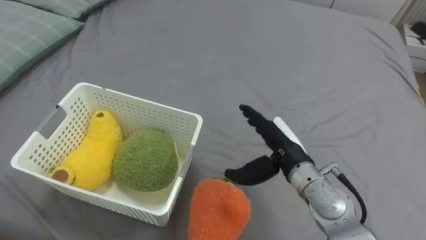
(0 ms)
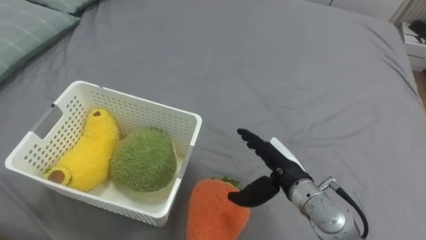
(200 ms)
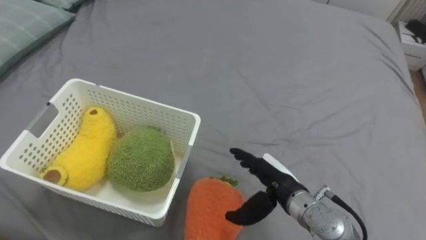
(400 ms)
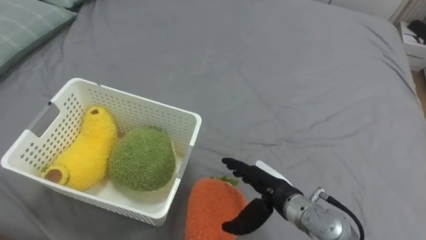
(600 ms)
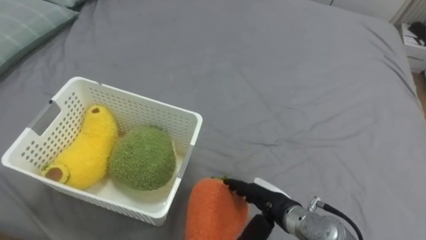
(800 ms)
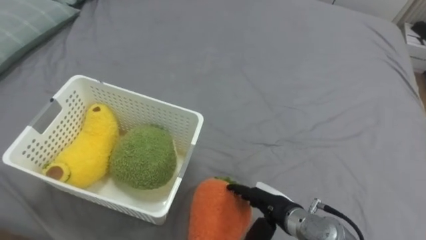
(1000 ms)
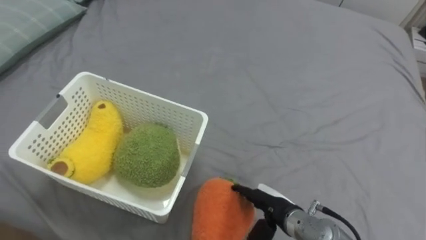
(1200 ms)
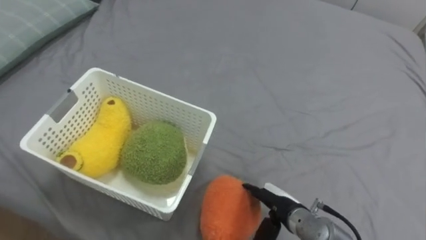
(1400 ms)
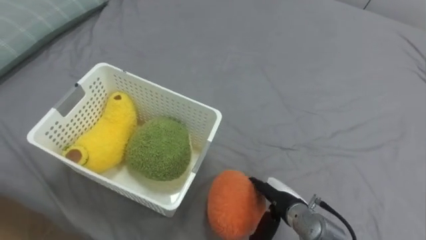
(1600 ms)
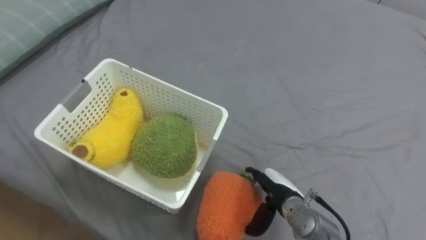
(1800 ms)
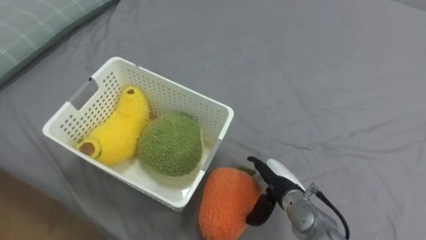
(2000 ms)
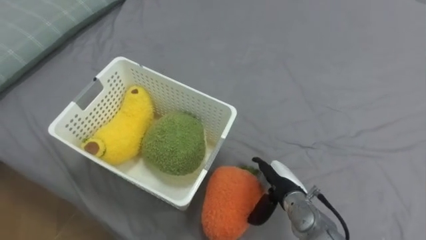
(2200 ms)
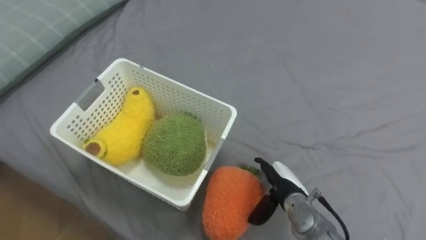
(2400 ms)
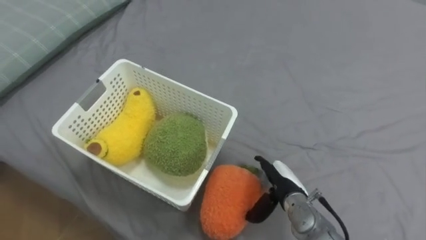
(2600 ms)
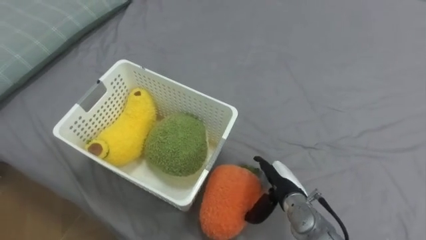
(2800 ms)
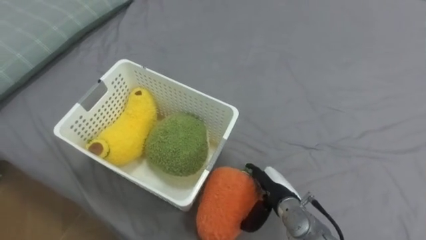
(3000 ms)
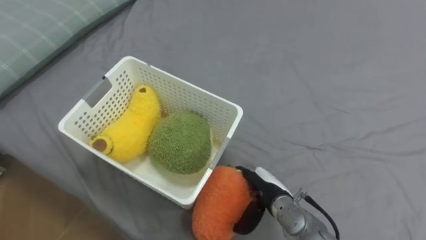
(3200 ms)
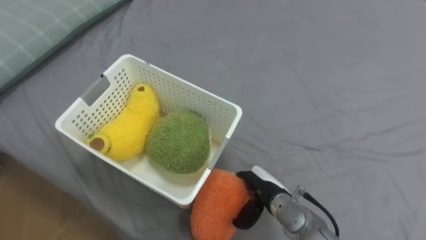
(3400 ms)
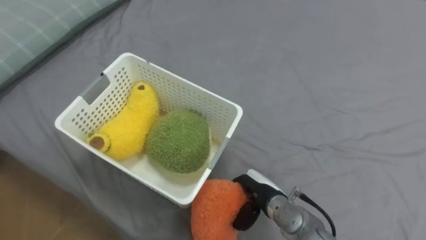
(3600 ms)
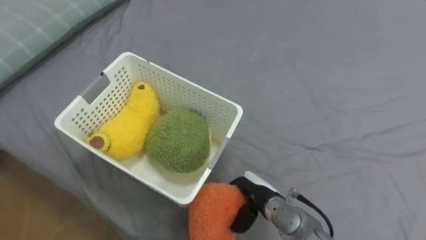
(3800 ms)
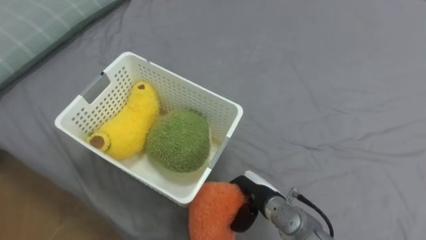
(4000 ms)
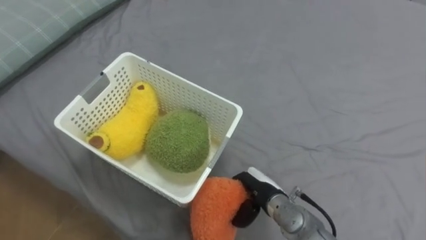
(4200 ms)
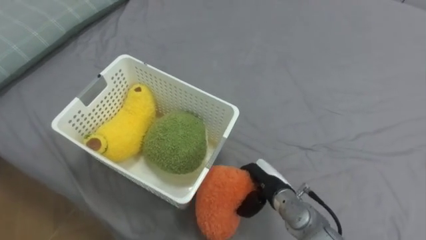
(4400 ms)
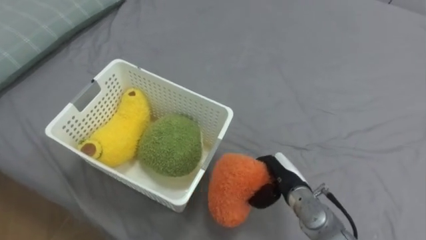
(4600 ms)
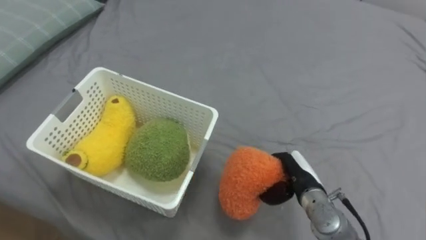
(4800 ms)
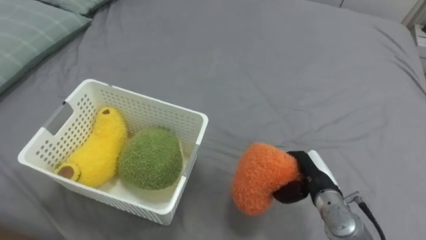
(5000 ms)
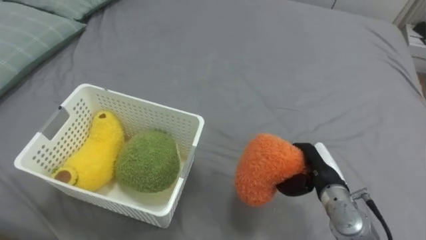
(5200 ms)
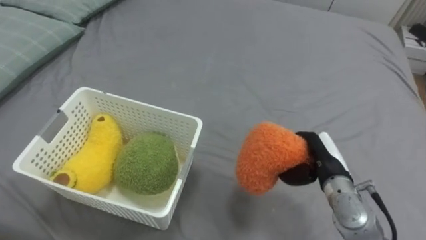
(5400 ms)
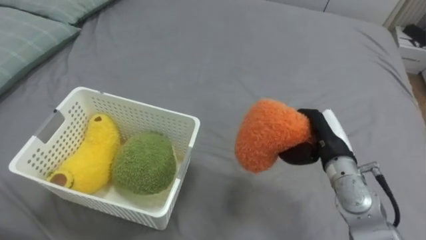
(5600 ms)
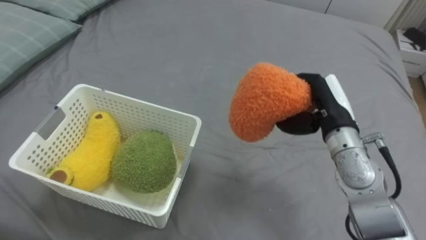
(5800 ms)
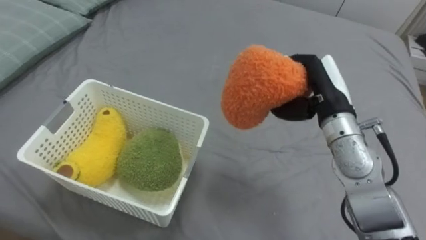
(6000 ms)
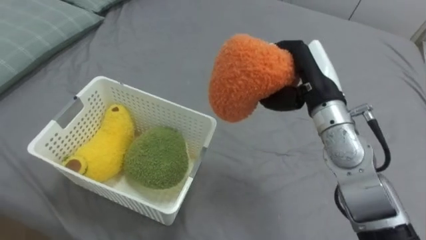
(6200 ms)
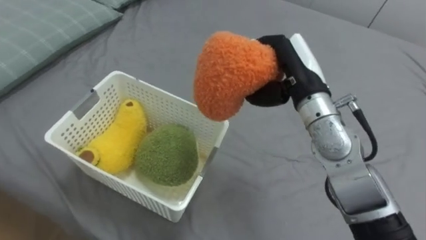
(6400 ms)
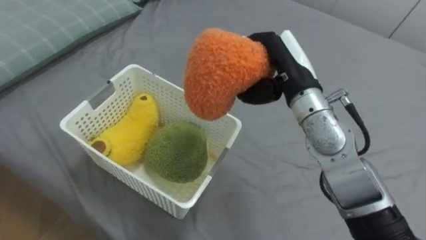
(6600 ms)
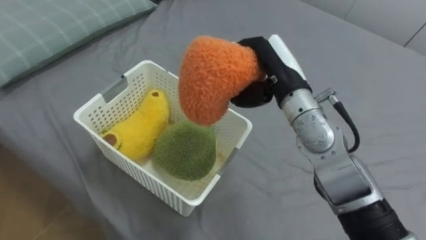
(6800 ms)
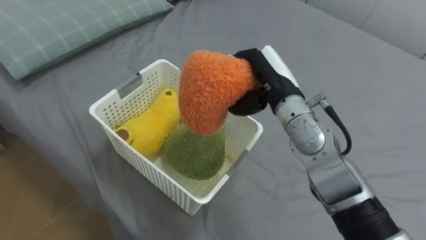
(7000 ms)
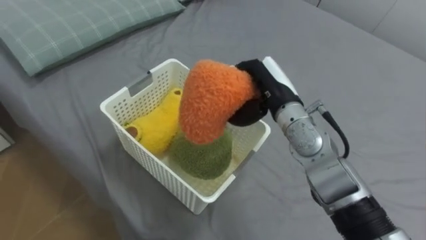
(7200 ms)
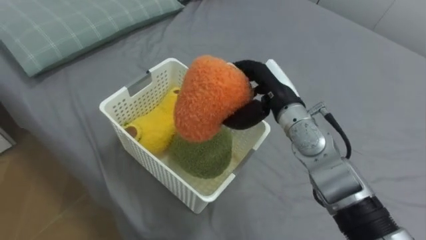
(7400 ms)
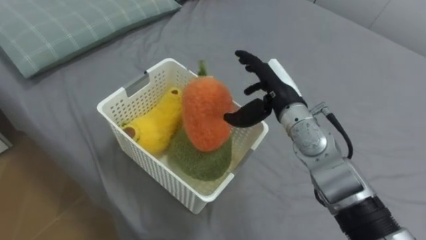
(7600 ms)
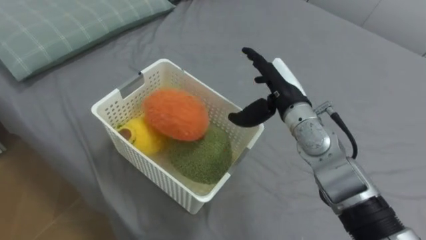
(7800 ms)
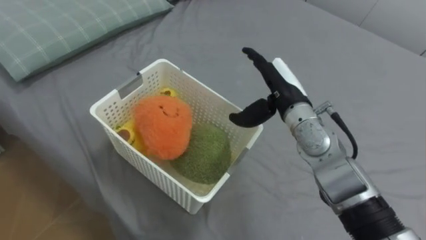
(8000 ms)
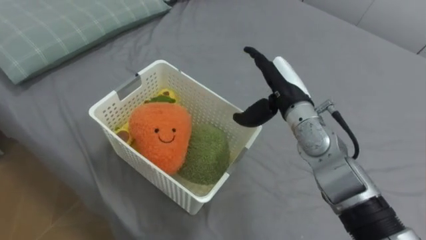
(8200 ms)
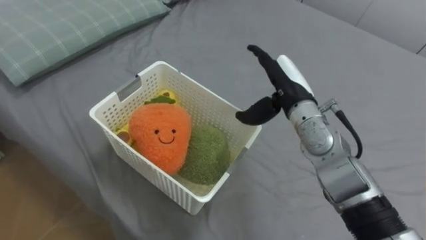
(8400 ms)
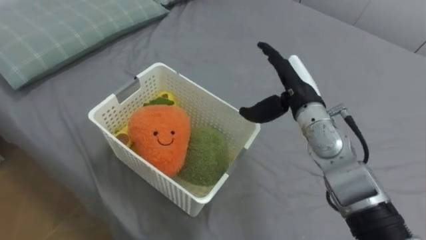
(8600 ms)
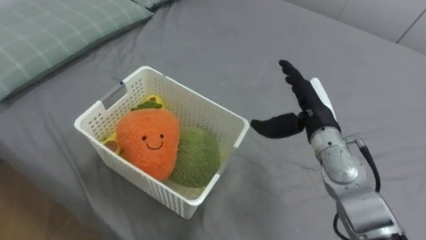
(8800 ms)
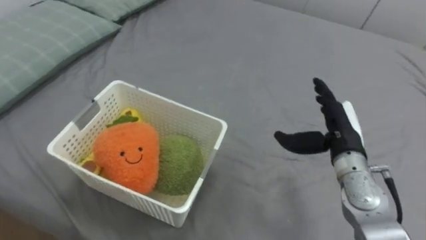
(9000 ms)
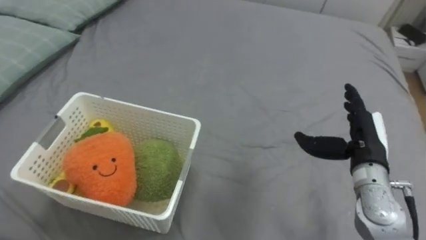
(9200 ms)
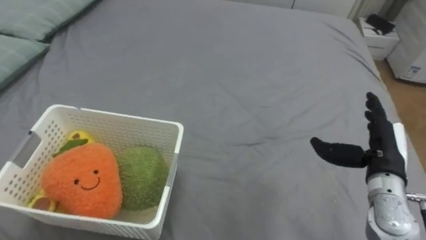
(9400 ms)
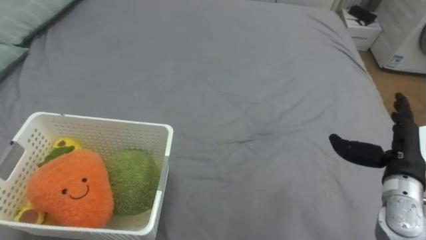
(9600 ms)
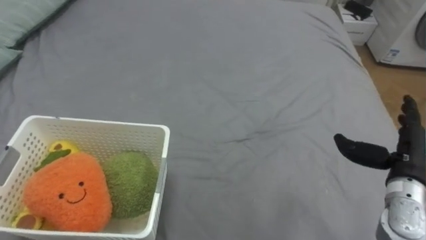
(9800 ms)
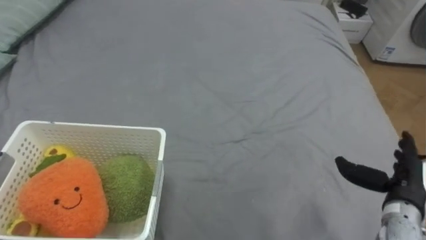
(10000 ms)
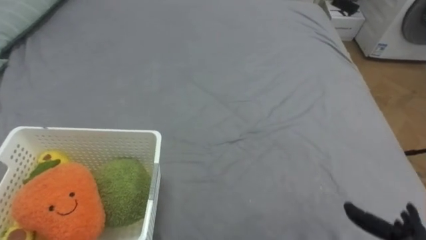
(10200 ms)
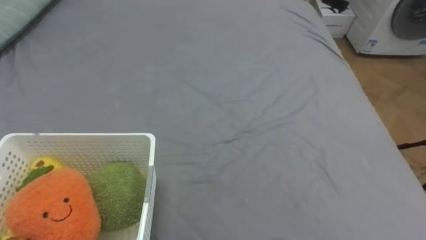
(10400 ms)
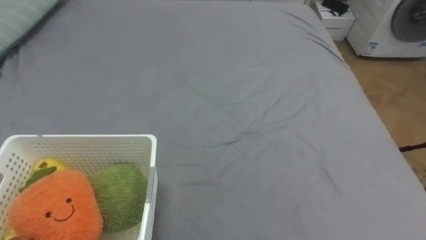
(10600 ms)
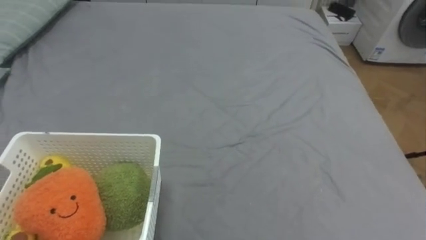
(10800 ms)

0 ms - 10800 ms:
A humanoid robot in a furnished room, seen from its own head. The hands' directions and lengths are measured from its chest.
Task of the whole recording: Put the toys on the bed into the basket on the left.
0 ms - 1600 ms: The right hand moves downward and backward, about 15 cm.
3000 ms - 4600 ms: The right hand closes up.
4600 ms - 6200 ms: The right hand is displaced upward by approximately 20 cm.
6200 ms - 7800 ms: The right hand changes place by approximately 5 cm, and opens its fingers.
7800 ms - 9200 ms: The right hand travels to the right and backward by approximately 15 cm.

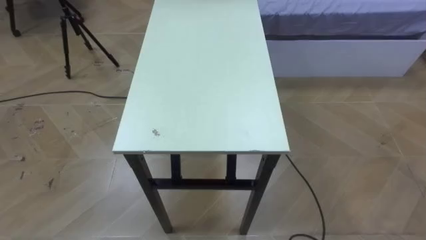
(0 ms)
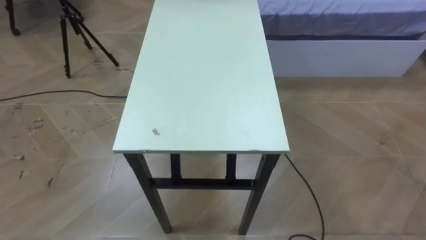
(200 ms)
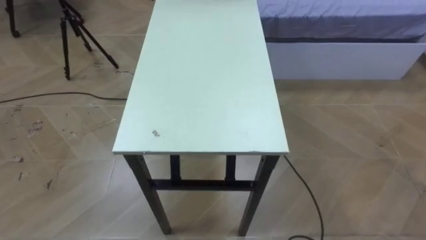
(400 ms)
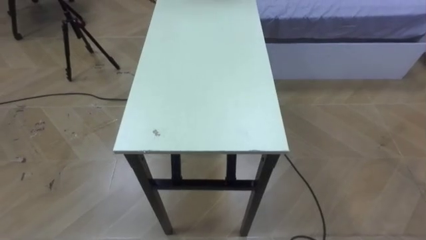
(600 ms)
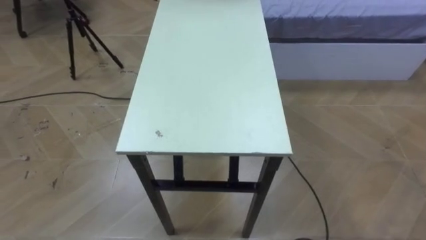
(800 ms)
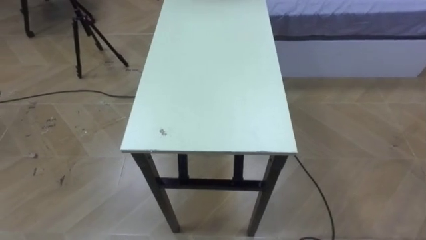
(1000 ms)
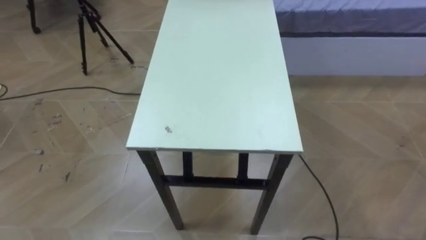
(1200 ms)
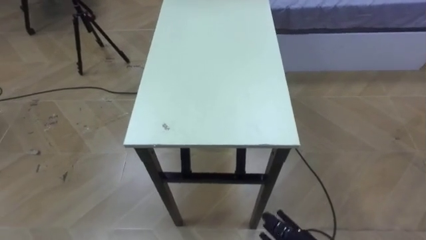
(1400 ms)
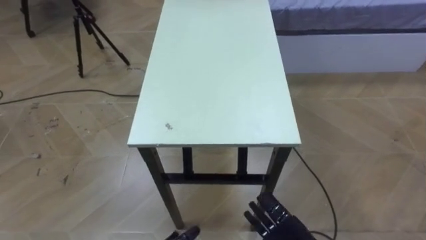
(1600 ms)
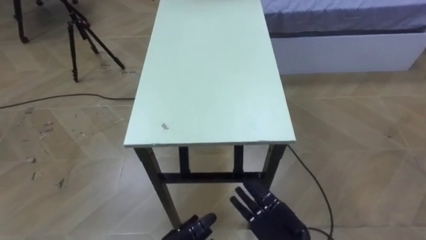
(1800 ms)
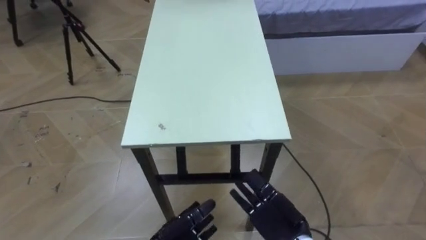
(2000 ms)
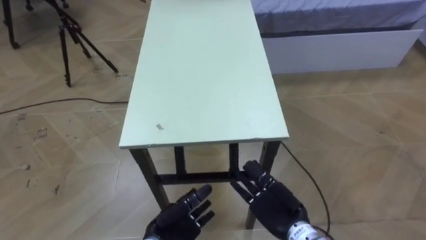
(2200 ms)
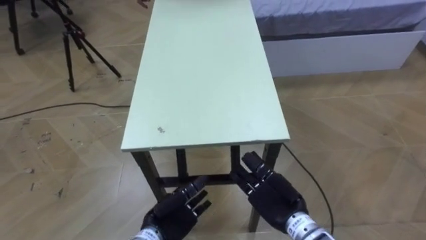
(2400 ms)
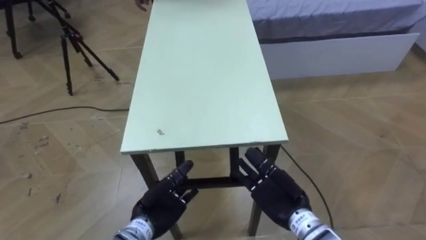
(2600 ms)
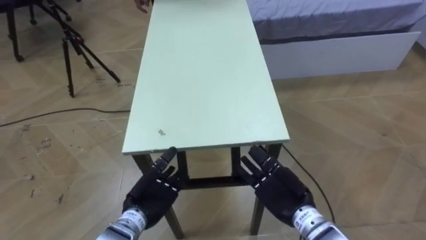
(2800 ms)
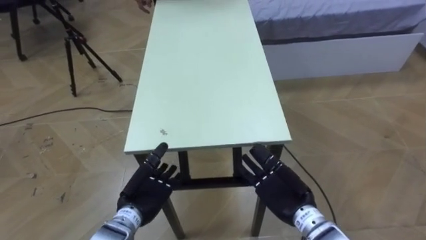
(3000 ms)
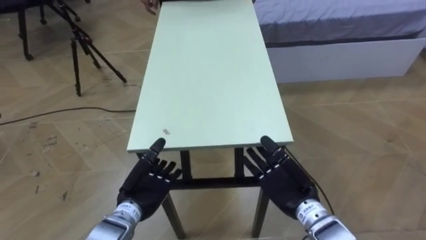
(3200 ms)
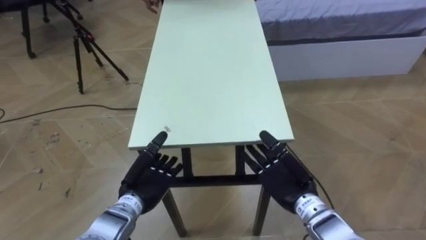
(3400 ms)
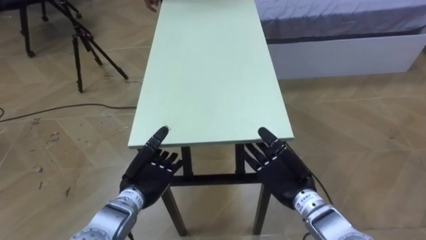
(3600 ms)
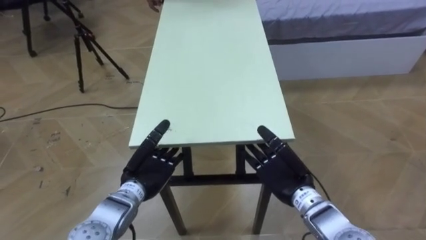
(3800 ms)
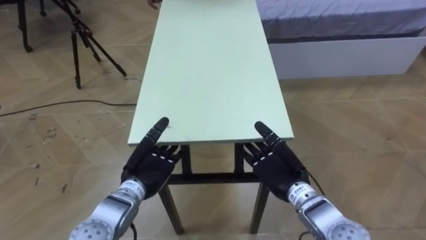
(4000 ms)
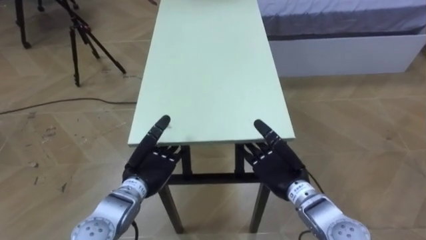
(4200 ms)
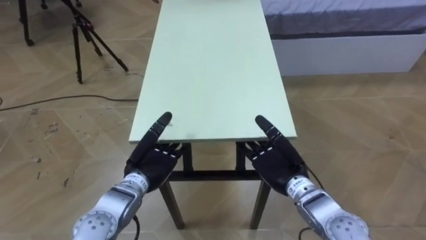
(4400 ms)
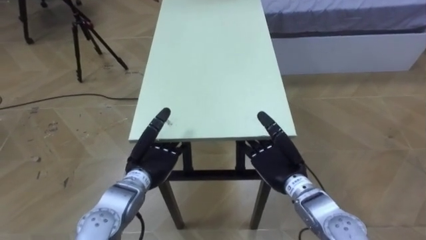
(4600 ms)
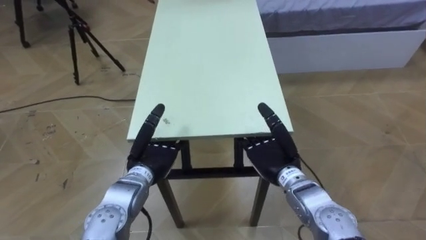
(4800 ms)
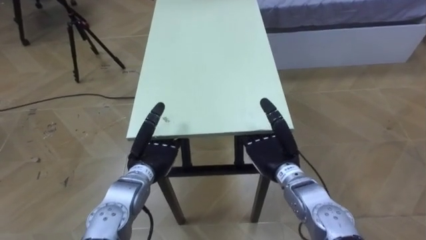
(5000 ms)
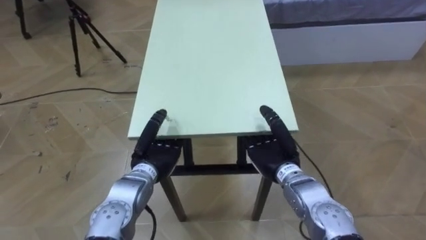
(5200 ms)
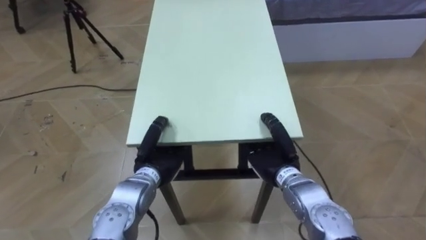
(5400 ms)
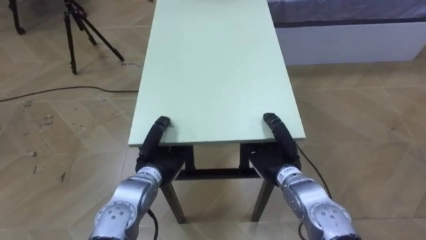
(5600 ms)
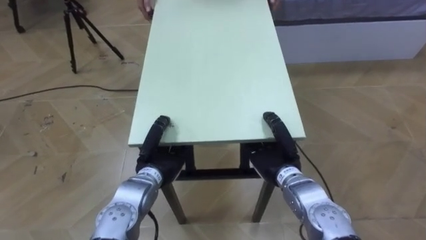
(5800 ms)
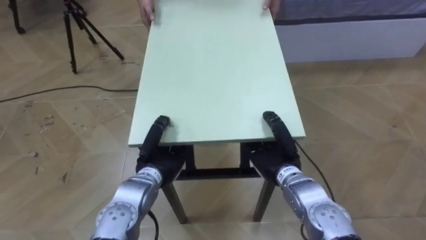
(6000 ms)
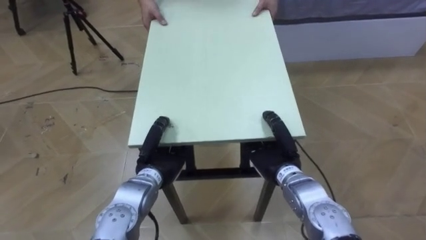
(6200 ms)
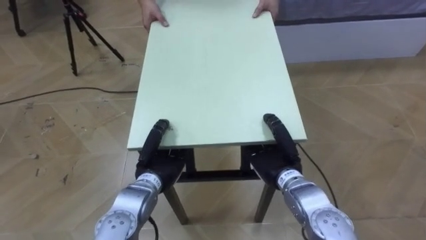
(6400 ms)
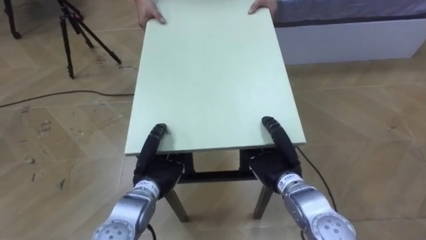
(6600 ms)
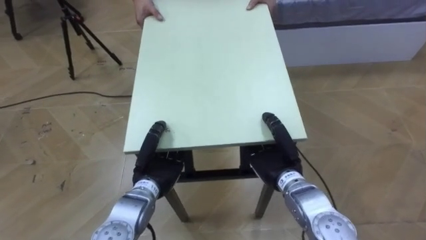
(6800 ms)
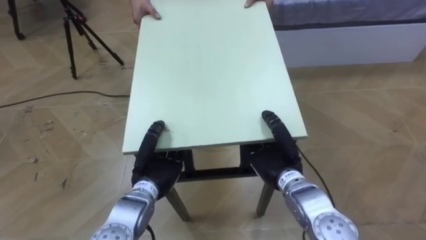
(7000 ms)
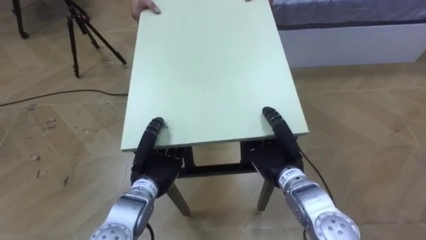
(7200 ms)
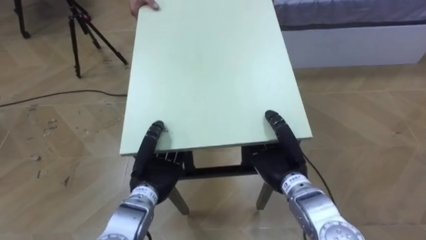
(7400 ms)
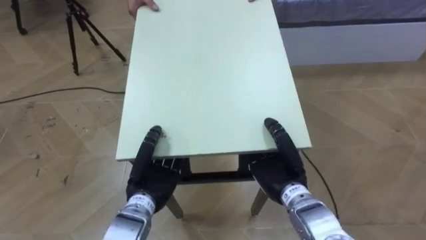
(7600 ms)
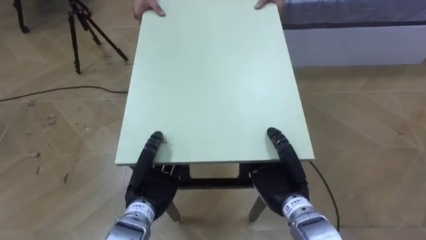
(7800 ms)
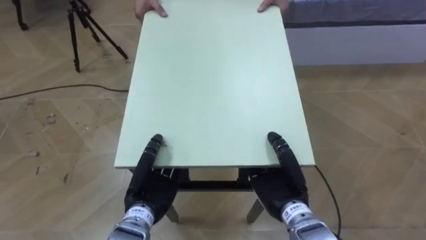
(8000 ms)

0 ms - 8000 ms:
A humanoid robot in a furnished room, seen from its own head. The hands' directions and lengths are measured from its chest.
Task of the whole recording: Move the table to the back left with someone.
1600 ms - 3200 ms: The right hand heads forward and upward, covering about 10 cm.
3200 ms - 4800 ms: The hands both shift forward by about 5 cm.
4800 ms - 6400 ms: The right hand closes. The left hand closes its fingers.
6400 ms - 8000 ms: The two hands go some 5 cm backward.
